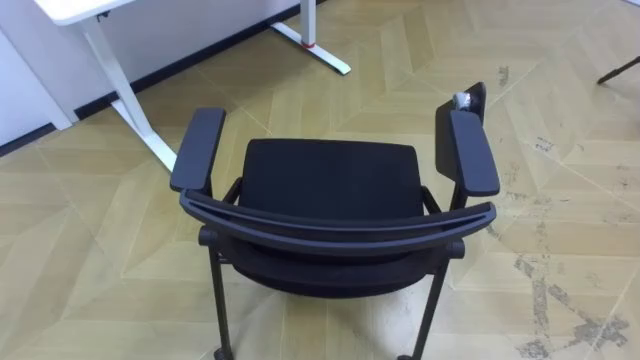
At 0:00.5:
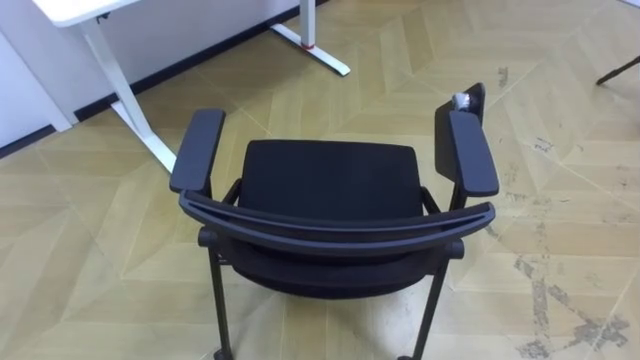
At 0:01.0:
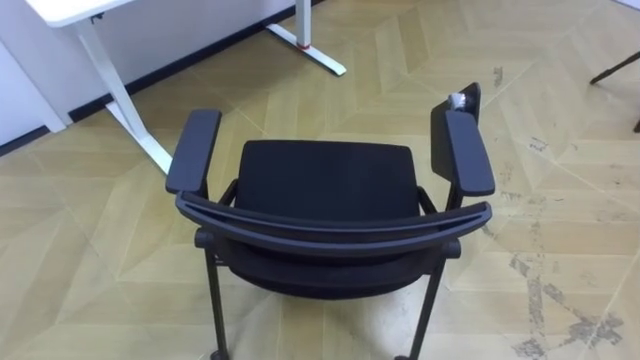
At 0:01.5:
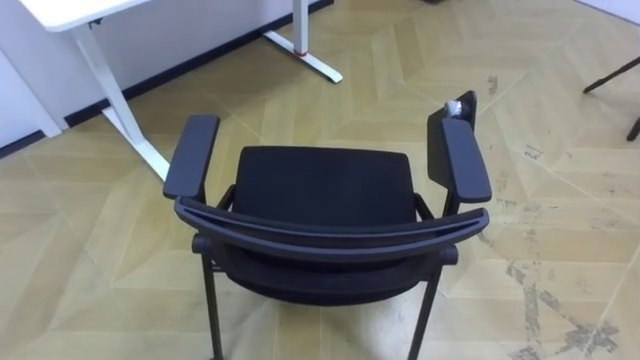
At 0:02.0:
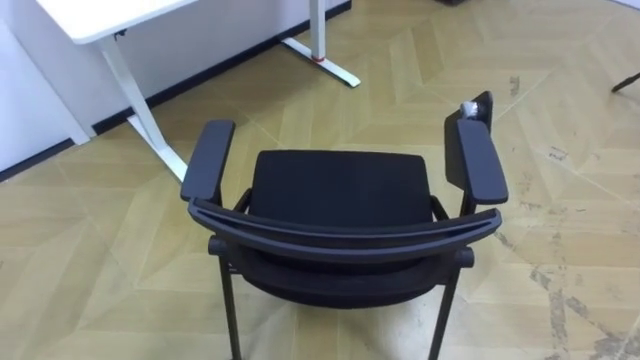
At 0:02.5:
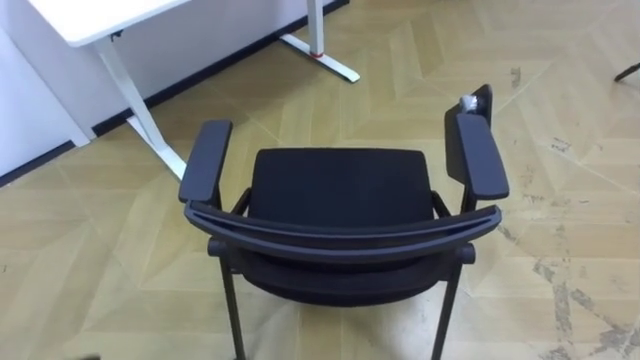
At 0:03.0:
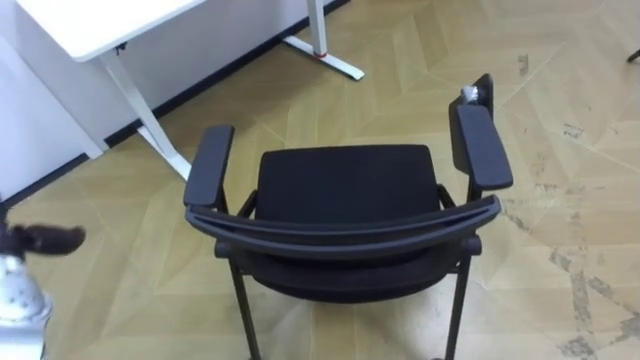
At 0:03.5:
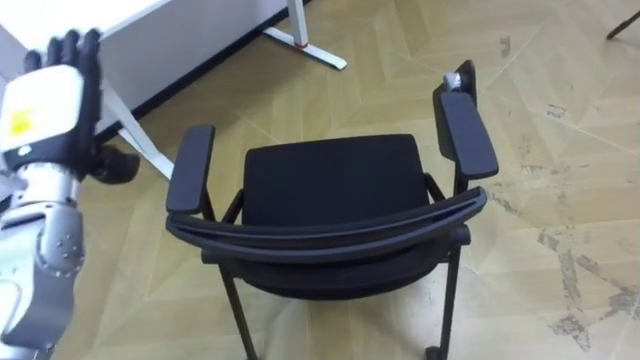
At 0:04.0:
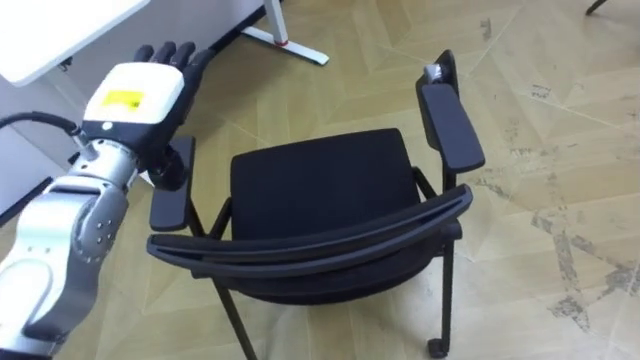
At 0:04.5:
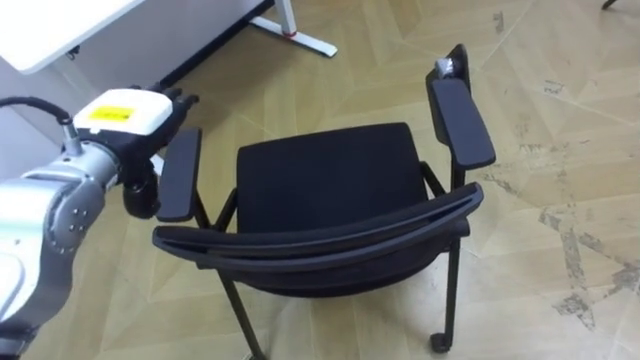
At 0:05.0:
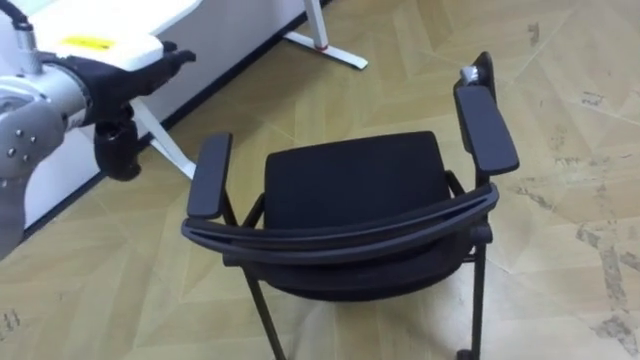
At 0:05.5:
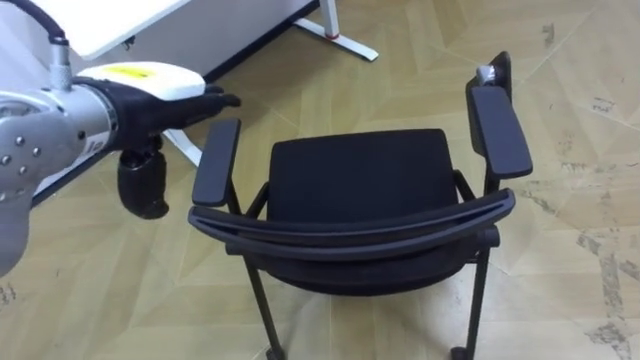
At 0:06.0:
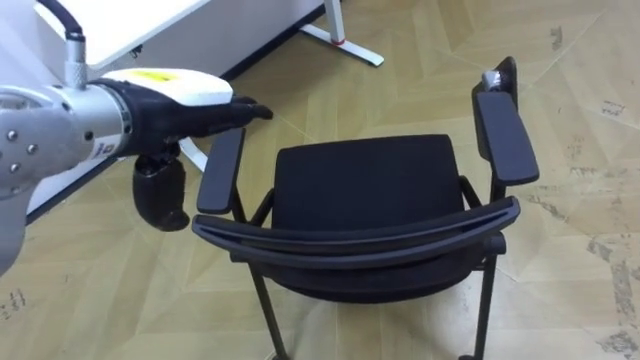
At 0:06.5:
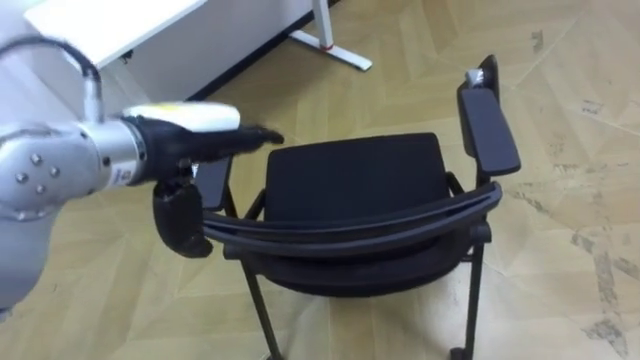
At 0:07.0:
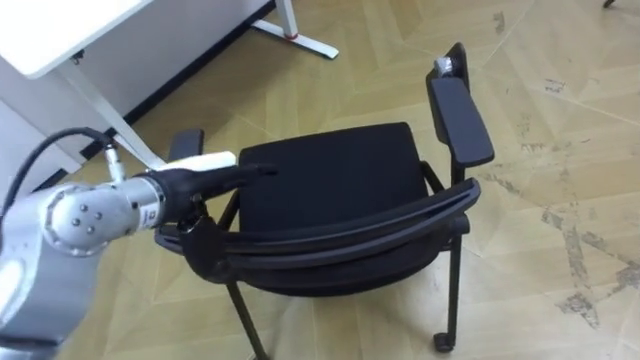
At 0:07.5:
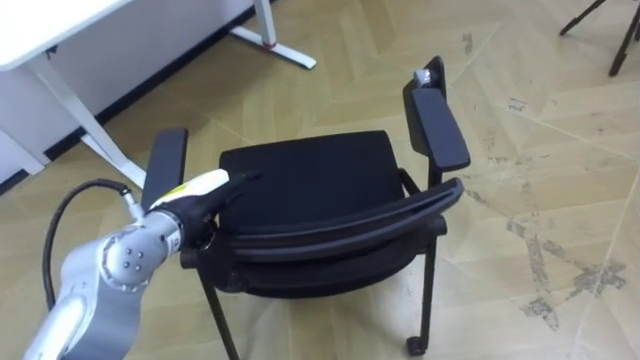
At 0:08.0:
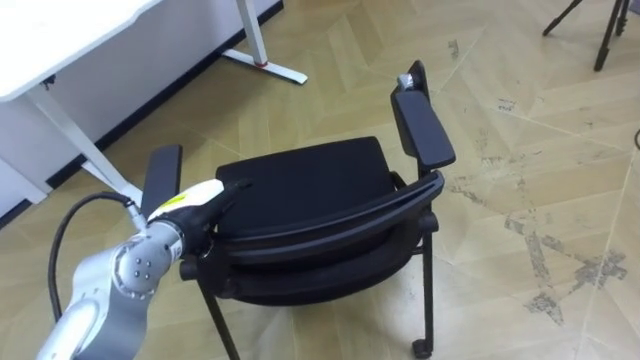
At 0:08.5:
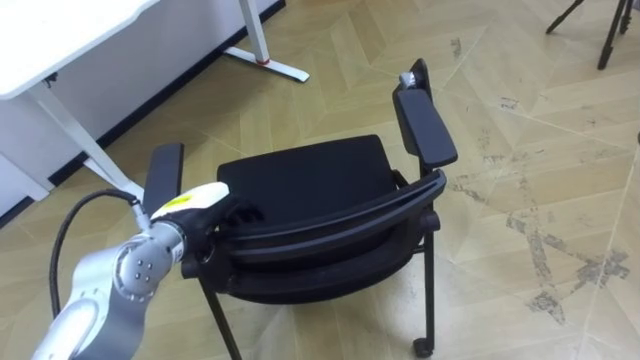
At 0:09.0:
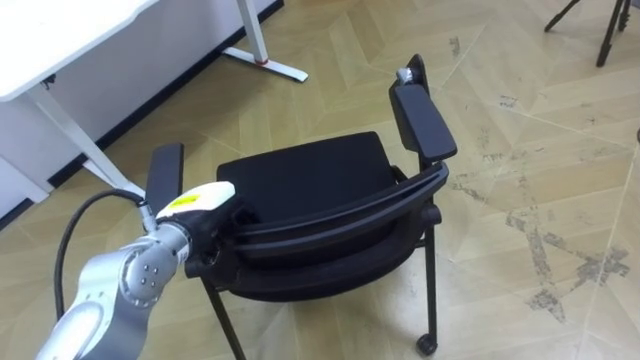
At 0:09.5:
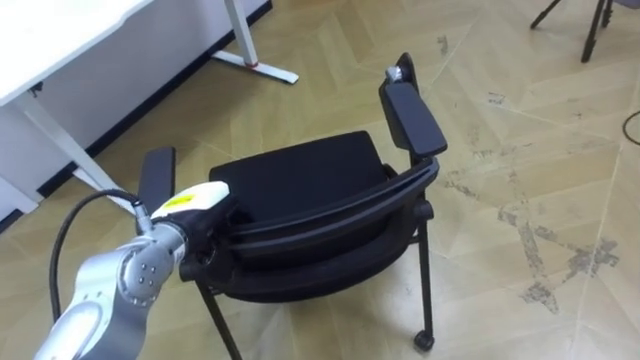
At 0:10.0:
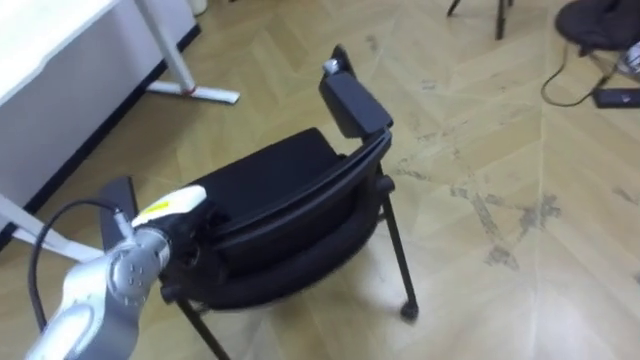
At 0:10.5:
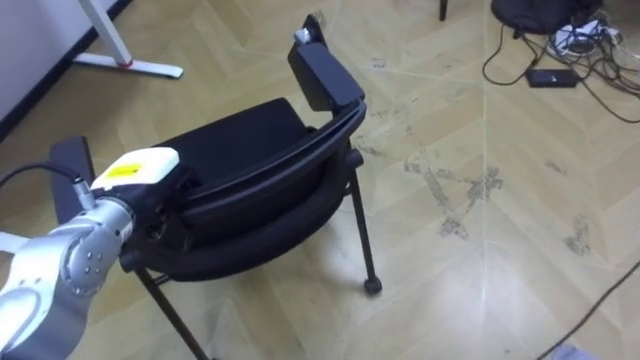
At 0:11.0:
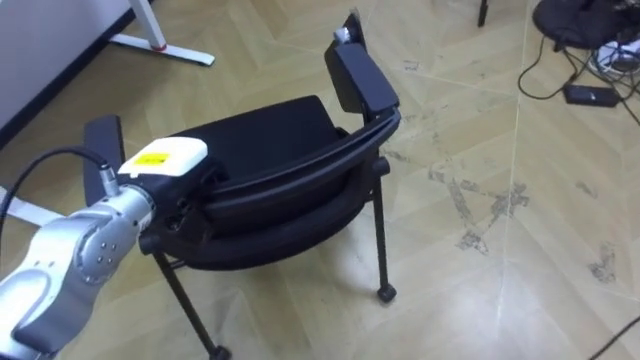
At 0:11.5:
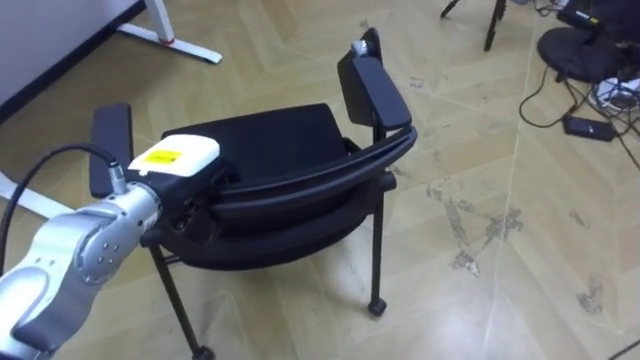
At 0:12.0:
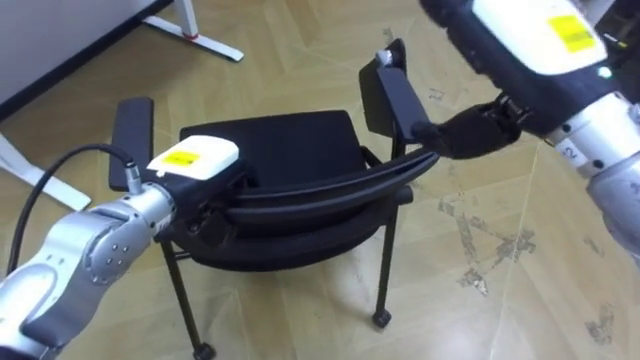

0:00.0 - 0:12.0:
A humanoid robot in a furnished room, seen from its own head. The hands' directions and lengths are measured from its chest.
Task of the whole recording: Push the chair under the table.
0:04.0 - 0:06.0: The left hand goes about 10 cm upward and to the right.
0:06.0 - 0:08.0: The left hand shifts approximately 20 cm downward.
0:08.0 - 0:10.0: The left hand closes.
0:10.0 - 0:12.0: The left hand goes approximately 5 cm upward.

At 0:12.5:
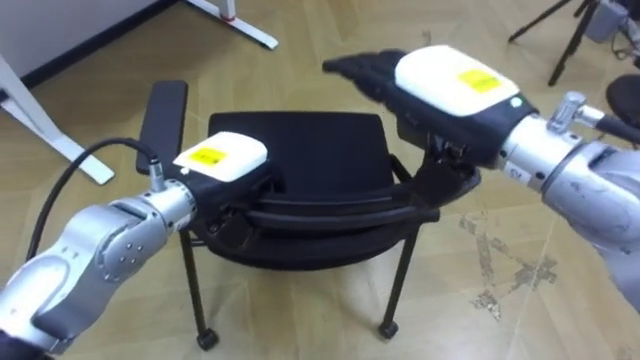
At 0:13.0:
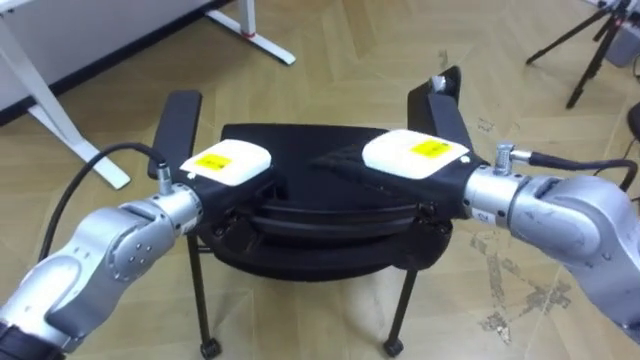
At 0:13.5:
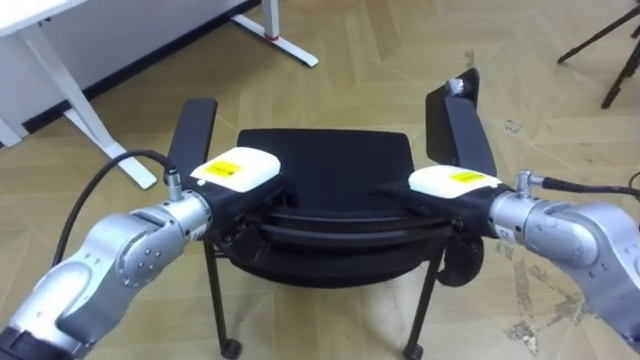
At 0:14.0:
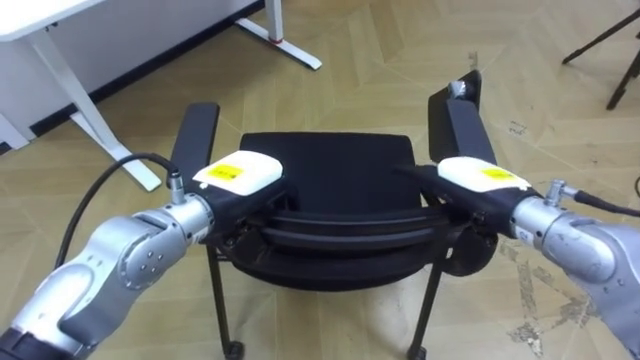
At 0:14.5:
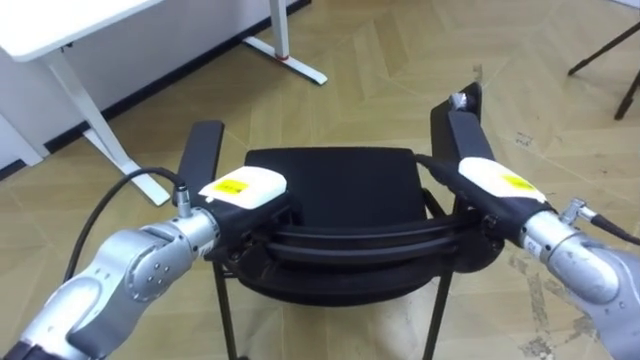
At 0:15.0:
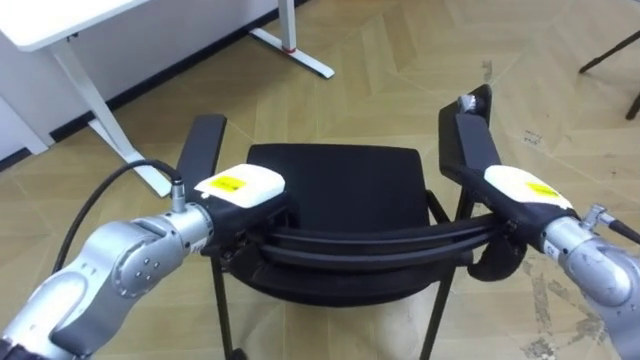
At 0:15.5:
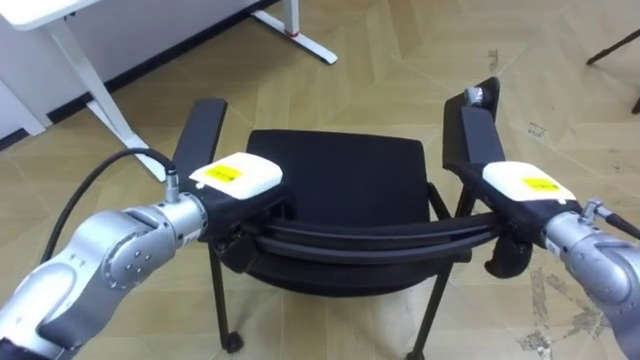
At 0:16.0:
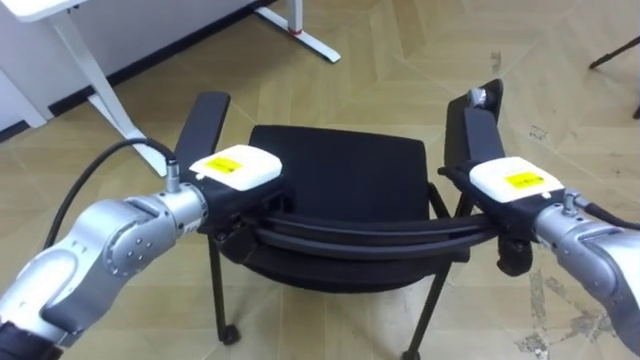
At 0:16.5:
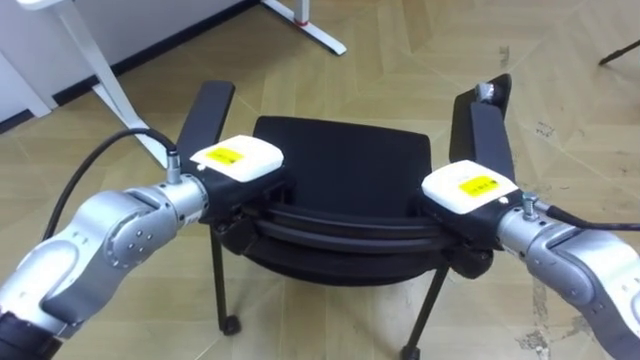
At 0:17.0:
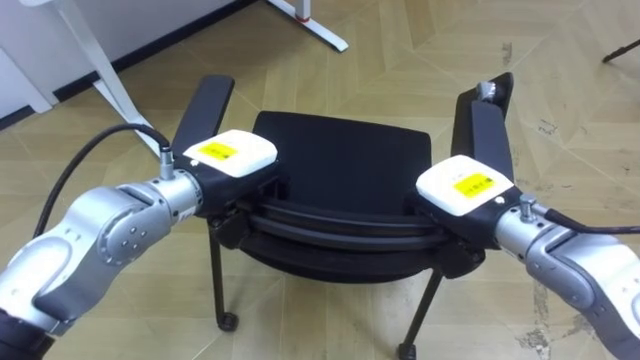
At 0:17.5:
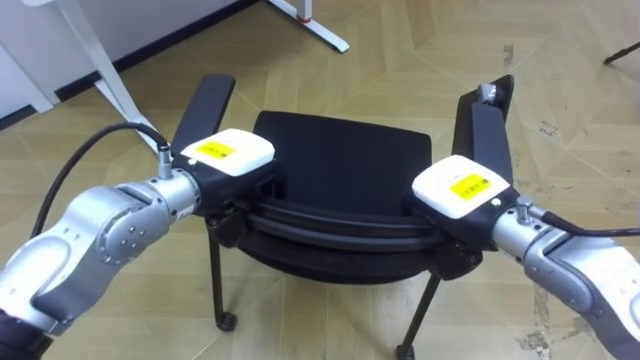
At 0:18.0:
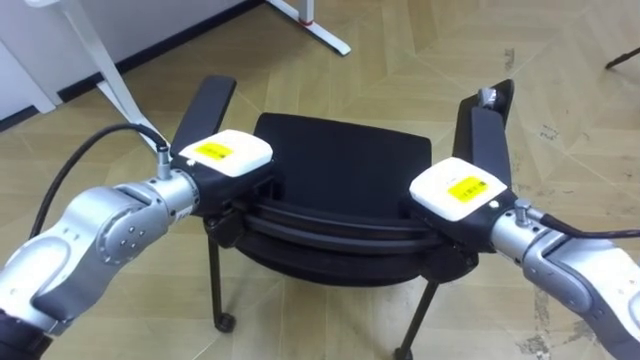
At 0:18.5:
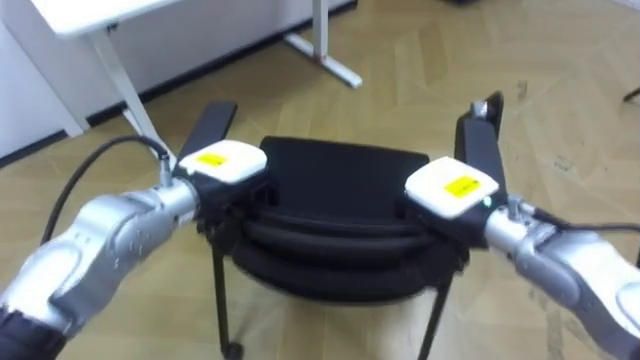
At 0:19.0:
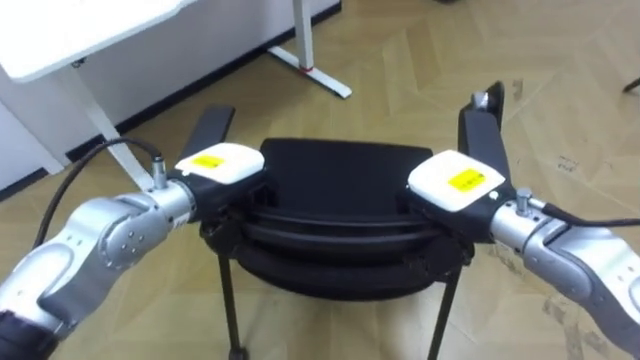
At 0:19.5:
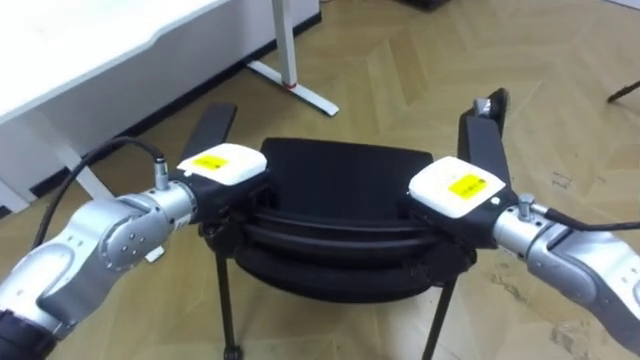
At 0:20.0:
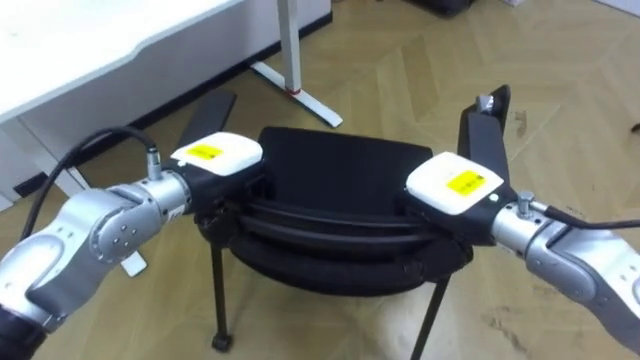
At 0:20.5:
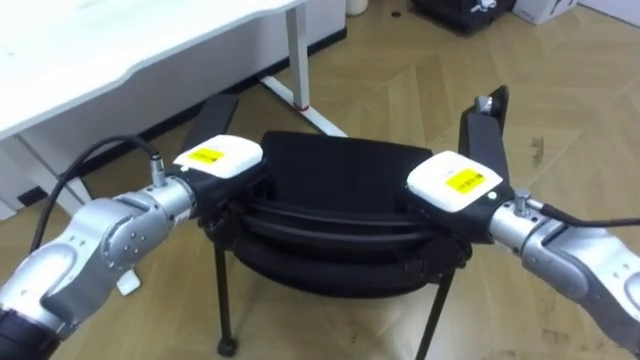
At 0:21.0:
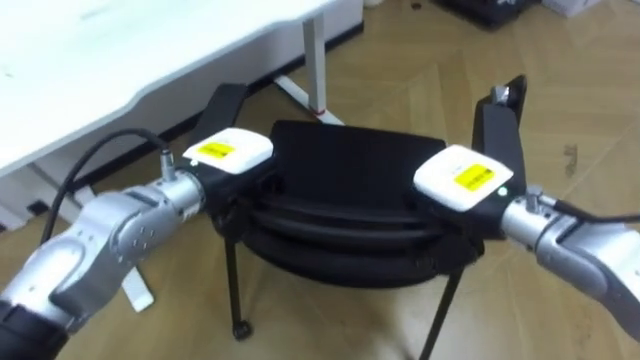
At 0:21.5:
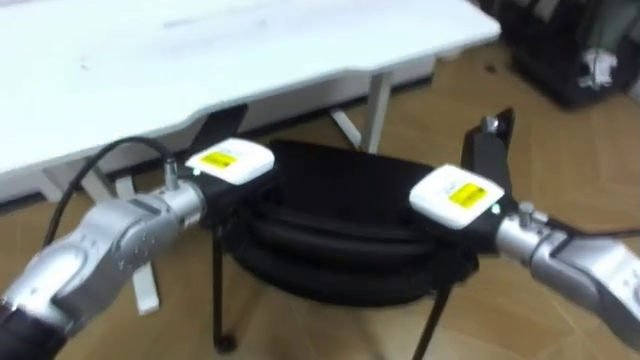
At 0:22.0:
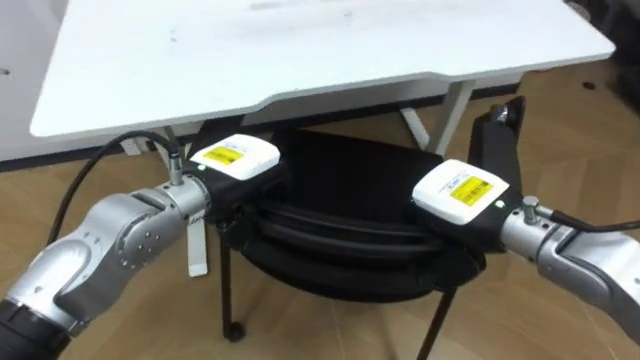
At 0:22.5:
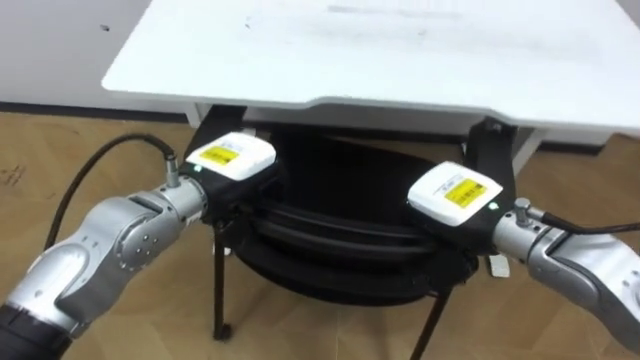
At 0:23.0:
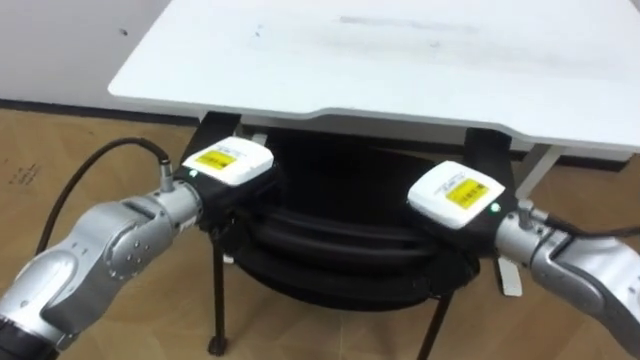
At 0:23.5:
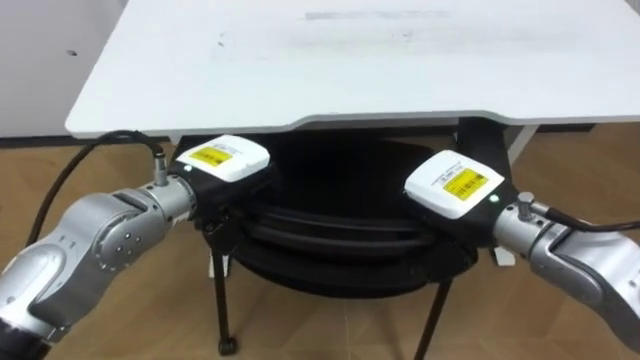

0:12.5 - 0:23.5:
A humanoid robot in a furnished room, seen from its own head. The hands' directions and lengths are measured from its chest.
Task of the whole recording: Push the chair under the table.
0:12.5 - 0:14.5: The right hand goes approximately 20 cm downward and to the right.
0:16.0 - 0:18.0: The right hand goes roughly 5 cm to the left, and closes up.
0:20.0 - 0:21.5: The robot turns to its left by roughly 20 degrees.
